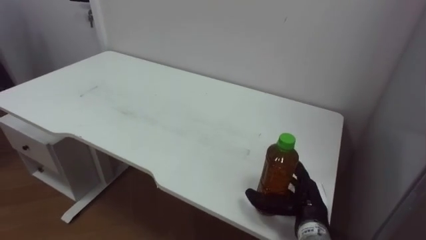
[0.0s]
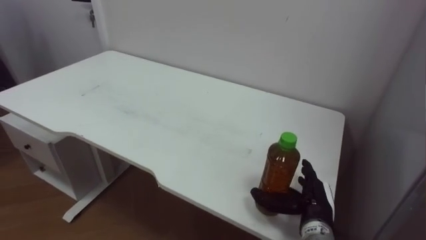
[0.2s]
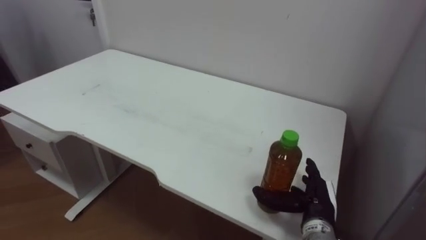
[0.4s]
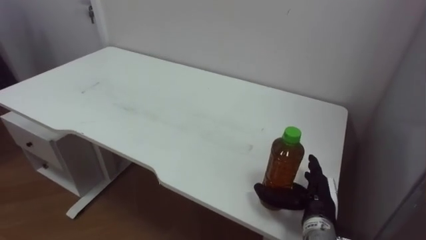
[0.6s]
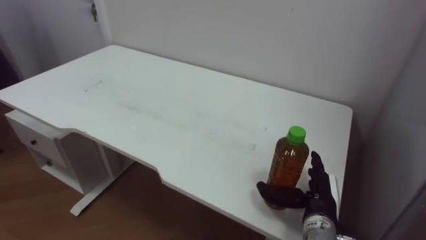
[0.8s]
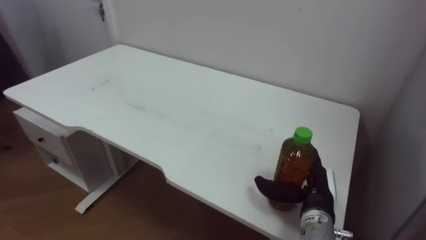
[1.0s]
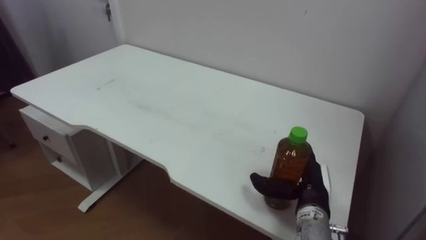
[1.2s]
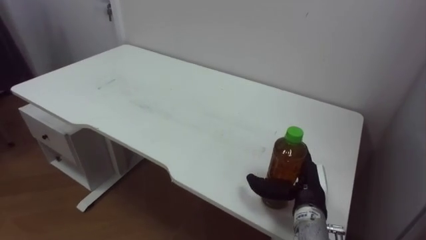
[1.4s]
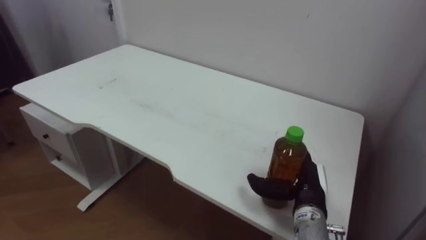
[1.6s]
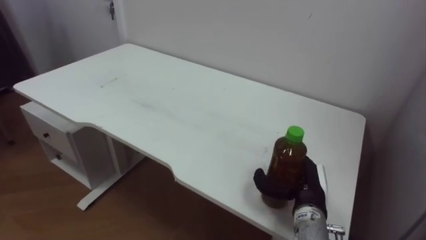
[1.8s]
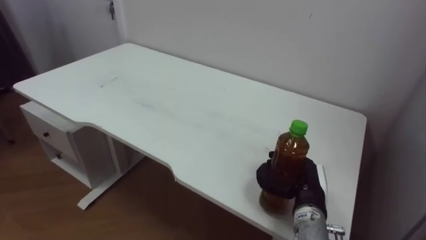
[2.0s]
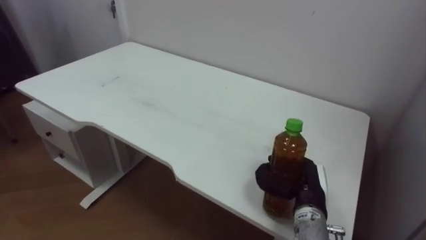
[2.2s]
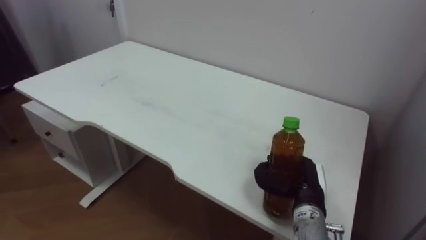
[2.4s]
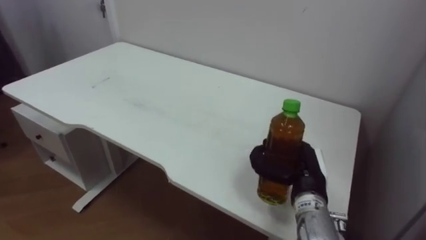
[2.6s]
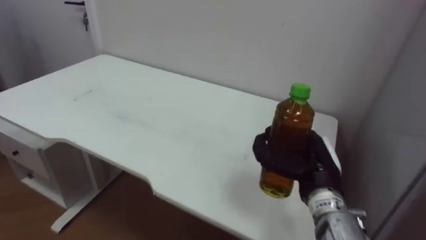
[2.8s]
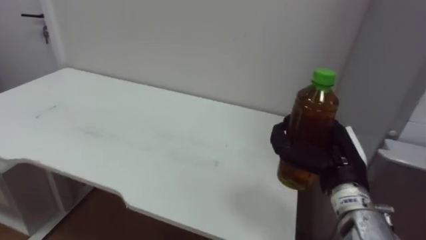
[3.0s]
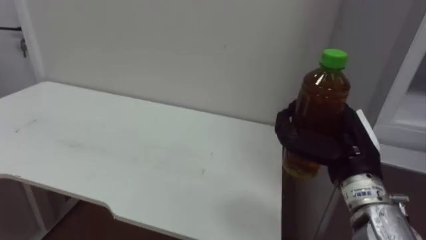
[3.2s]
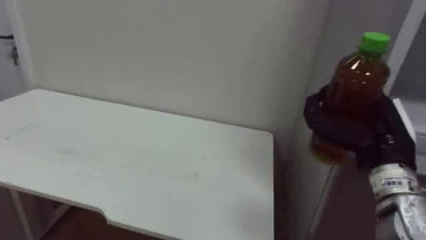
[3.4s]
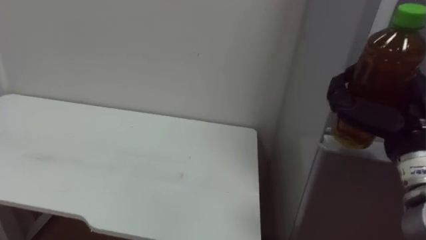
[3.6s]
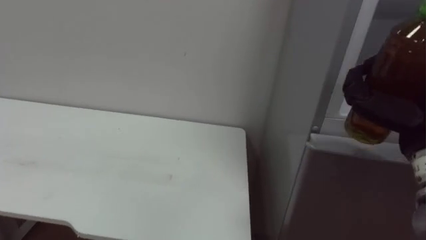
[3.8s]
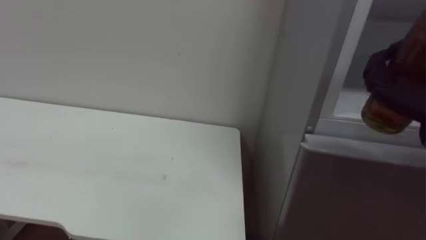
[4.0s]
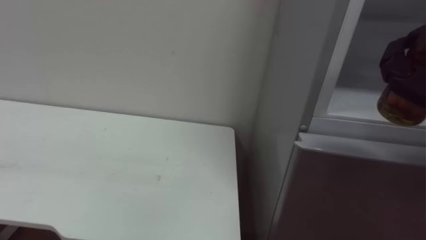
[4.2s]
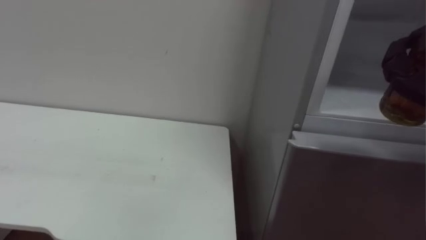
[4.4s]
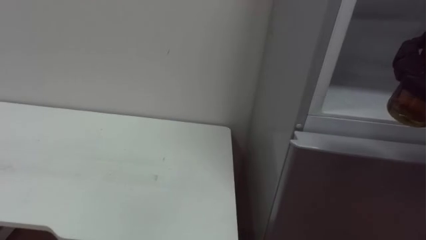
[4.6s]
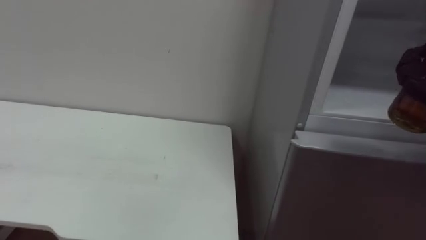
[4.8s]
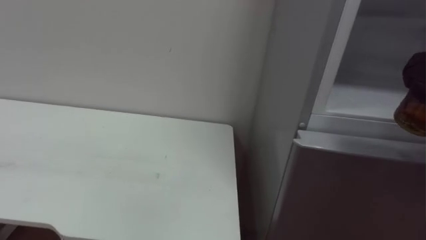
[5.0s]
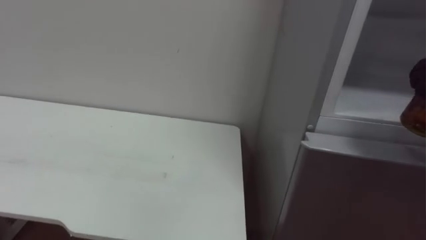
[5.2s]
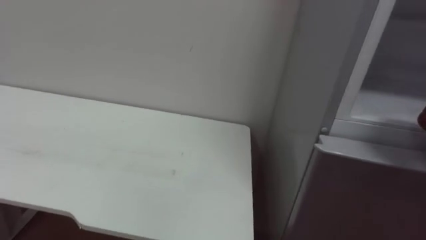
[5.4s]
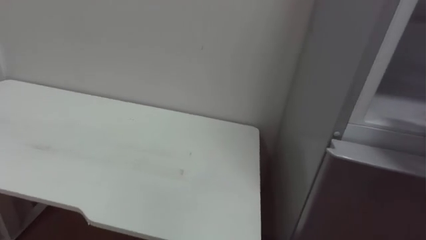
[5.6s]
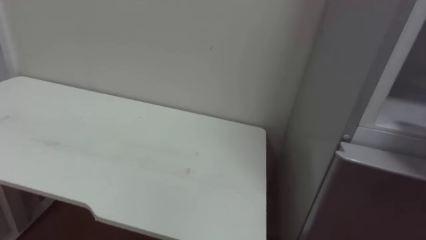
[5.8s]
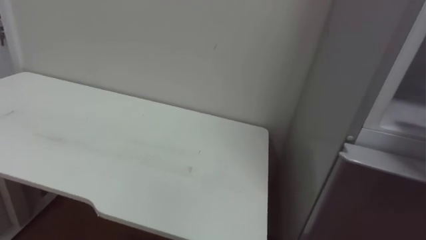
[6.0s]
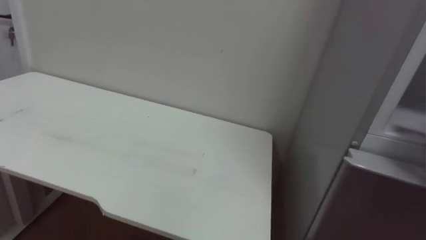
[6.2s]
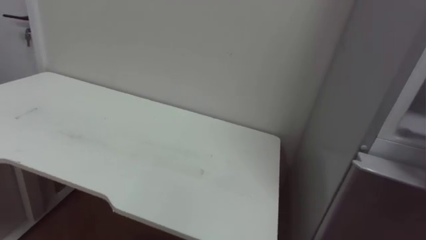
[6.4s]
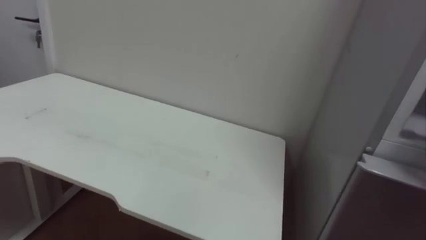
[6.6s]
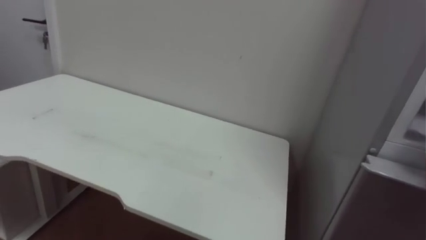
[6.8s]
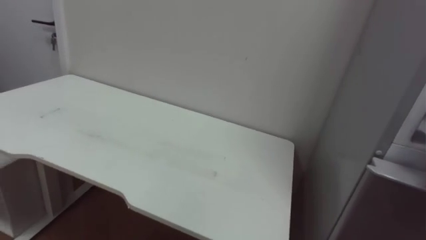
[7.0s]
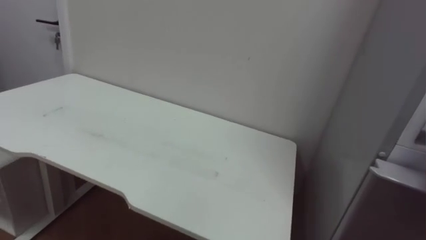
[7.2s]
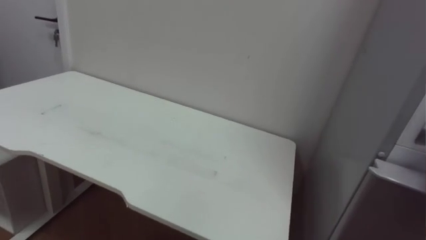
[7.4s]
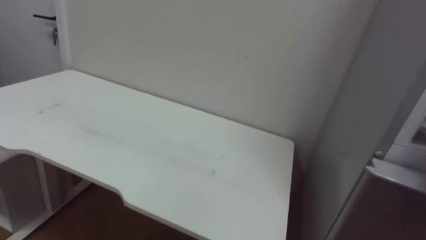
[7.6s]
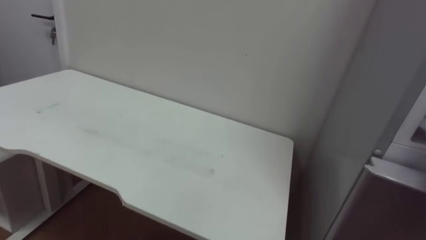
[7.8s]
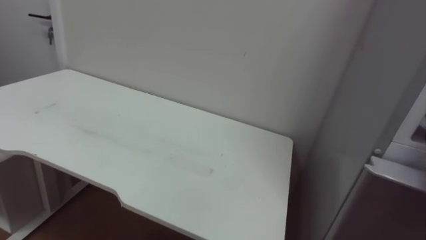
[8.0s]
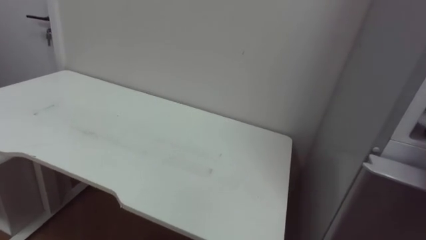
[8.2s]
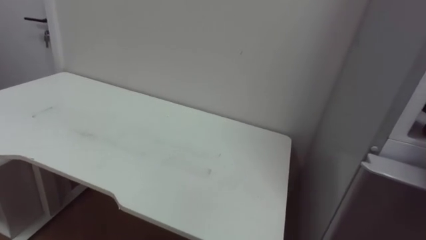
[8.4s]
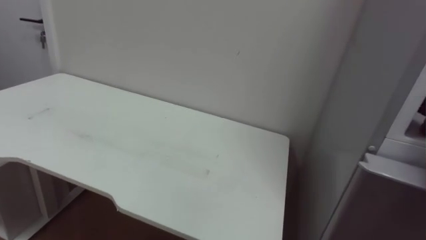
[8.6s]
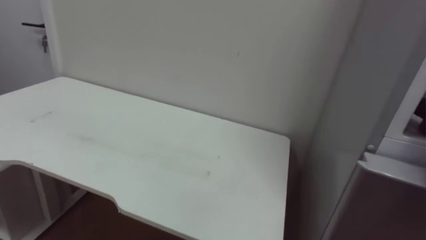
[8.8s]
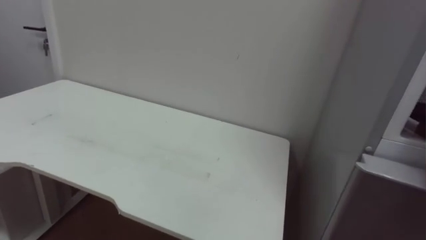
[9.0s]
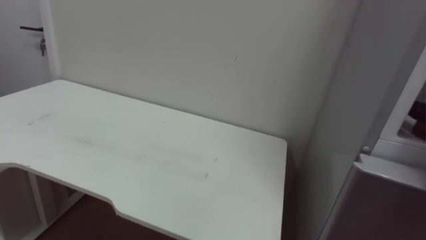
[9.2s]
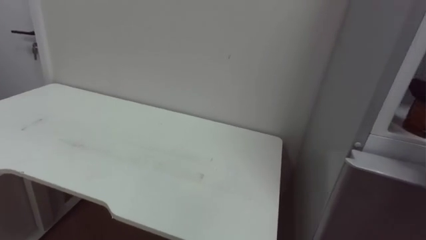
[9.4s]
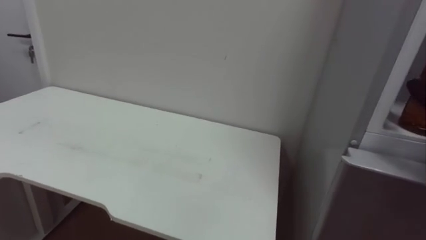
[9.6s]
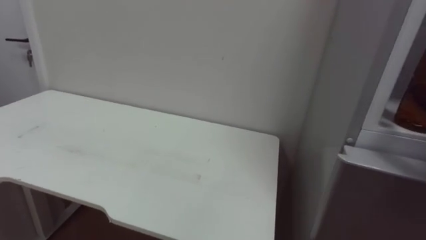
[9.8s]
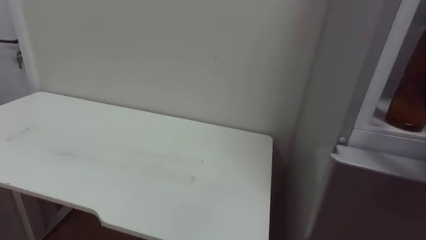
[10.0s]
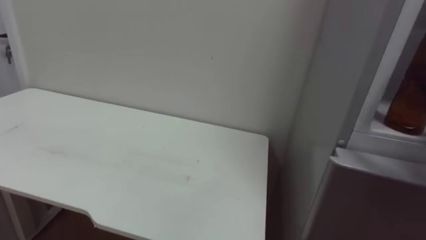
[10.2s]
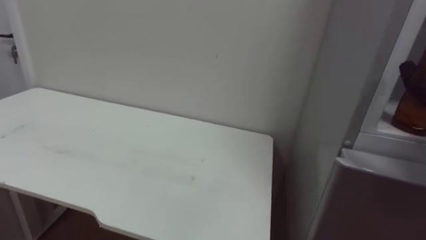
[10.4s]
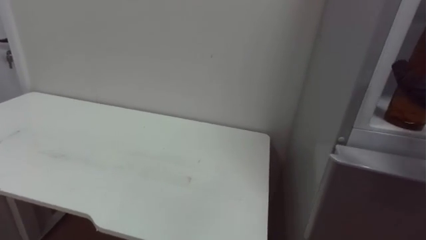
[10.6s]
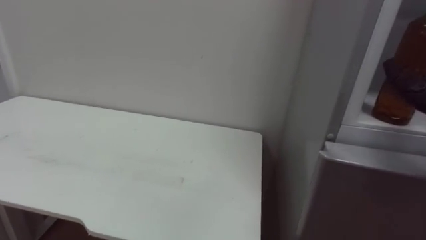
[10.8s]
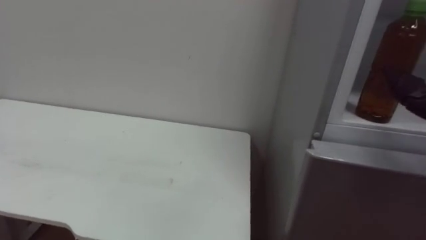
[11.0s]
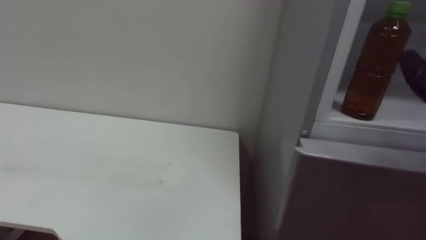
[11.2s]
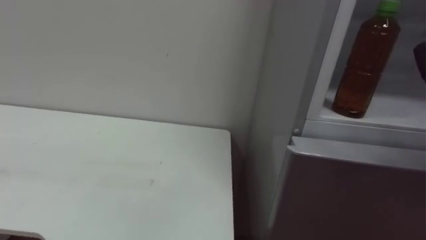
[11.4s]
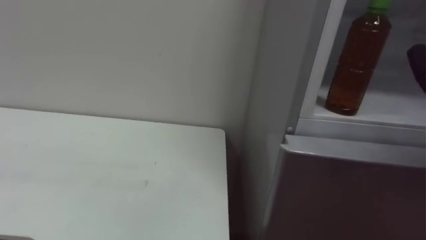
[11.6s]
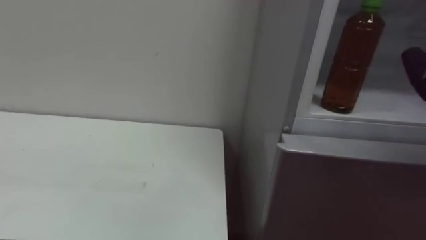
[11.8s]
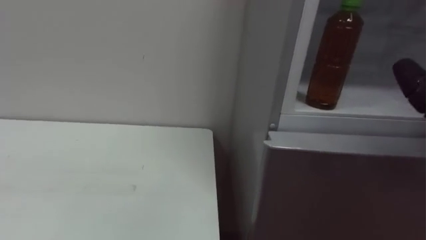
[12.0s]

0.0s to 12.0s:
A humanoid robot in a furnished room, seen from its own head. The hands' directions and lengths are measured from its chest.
Task of the whole recording: Open the upper refrigerator door, put the drink from the table into the refrigerator, and then close the refrigerator door.
1.6s to 3.0s: The right hand moves upward, about 10 cm, and closes up.

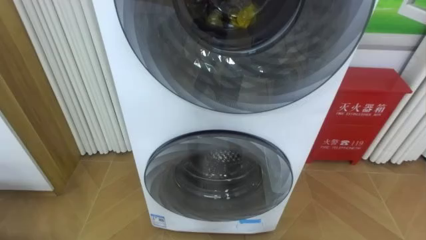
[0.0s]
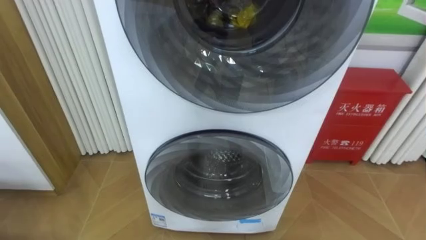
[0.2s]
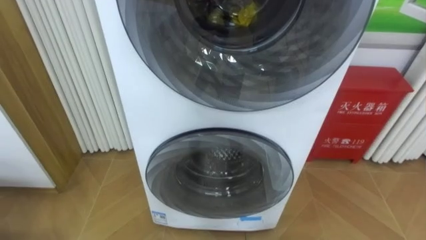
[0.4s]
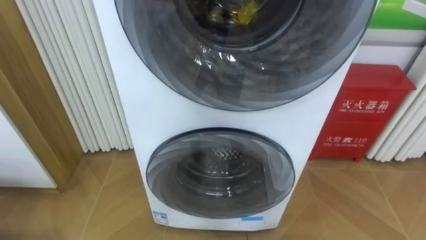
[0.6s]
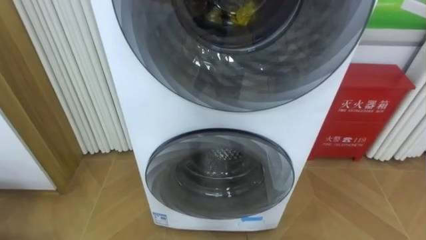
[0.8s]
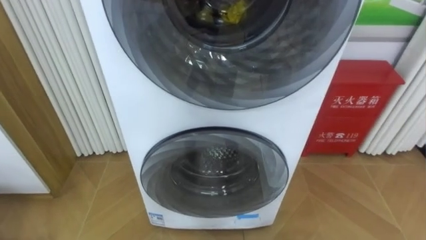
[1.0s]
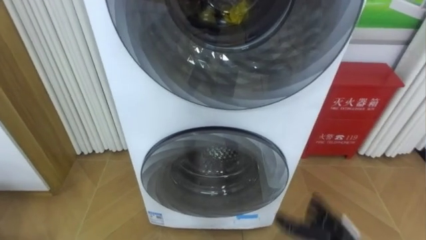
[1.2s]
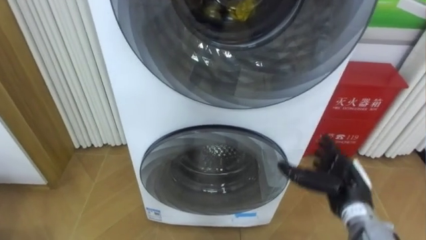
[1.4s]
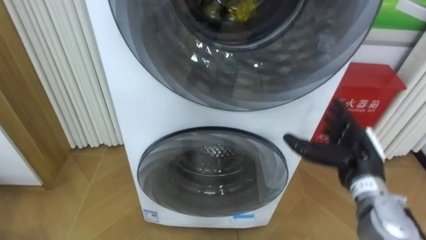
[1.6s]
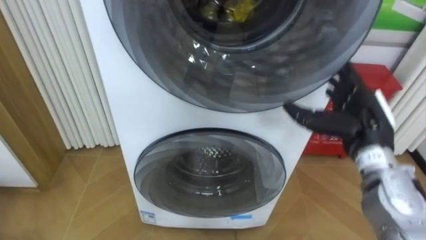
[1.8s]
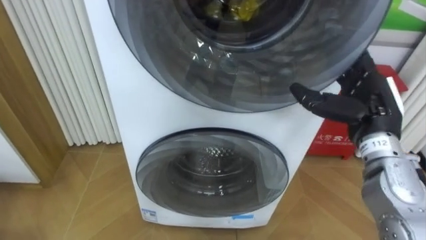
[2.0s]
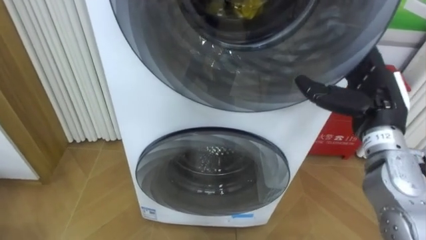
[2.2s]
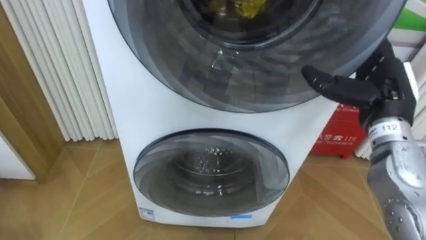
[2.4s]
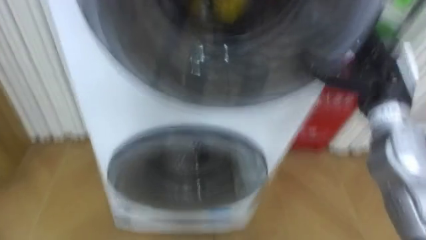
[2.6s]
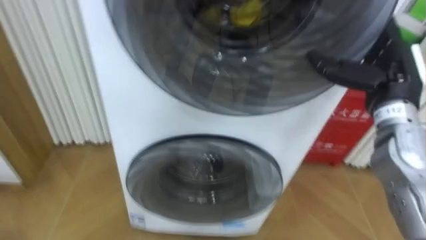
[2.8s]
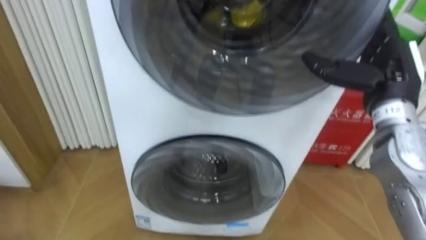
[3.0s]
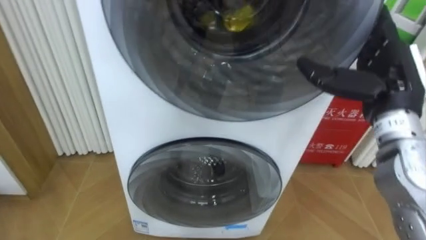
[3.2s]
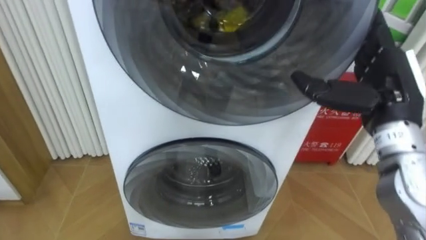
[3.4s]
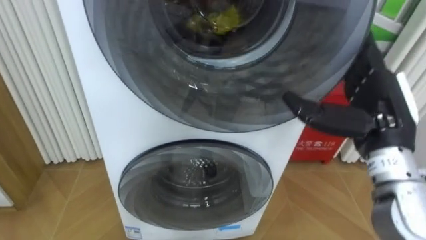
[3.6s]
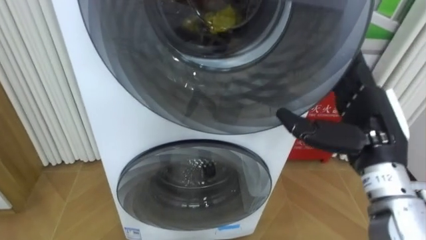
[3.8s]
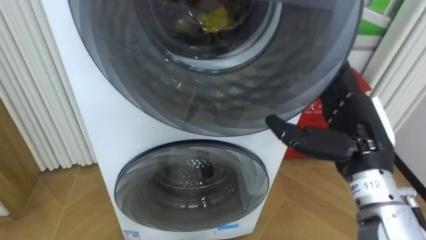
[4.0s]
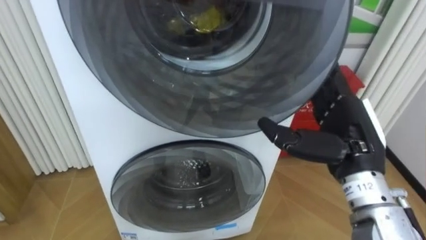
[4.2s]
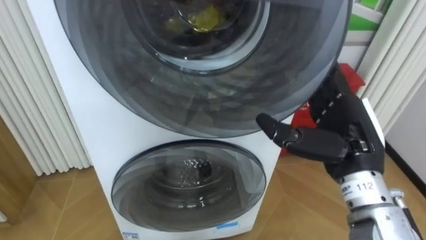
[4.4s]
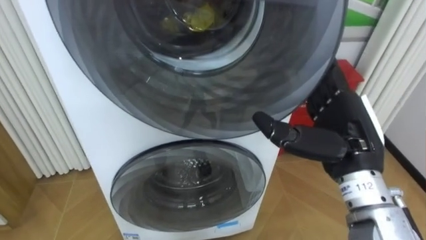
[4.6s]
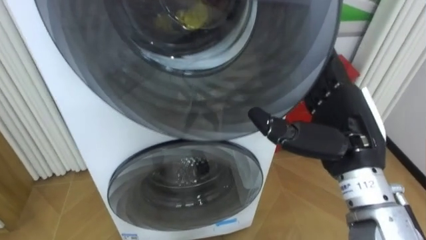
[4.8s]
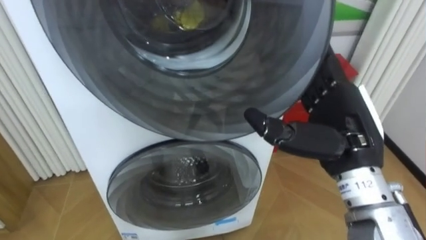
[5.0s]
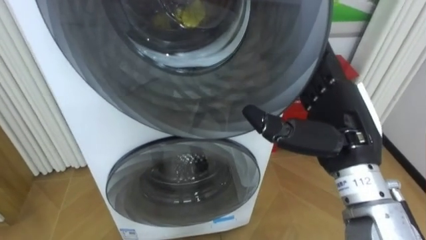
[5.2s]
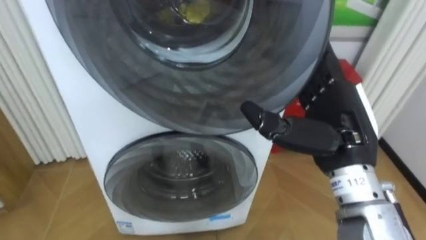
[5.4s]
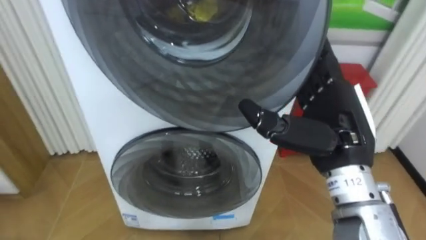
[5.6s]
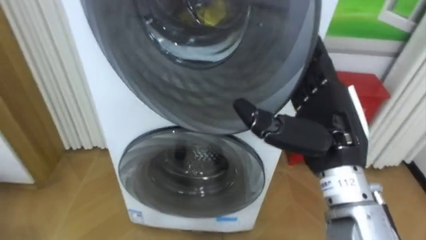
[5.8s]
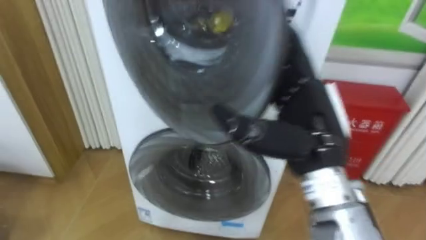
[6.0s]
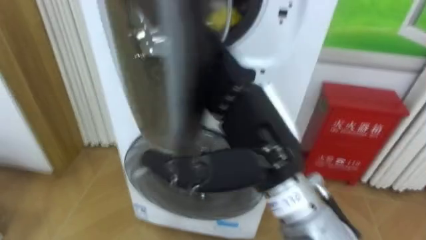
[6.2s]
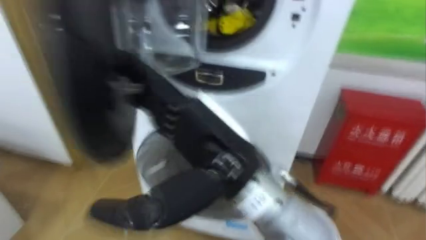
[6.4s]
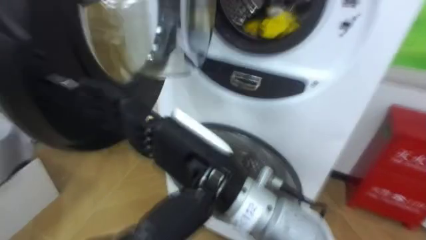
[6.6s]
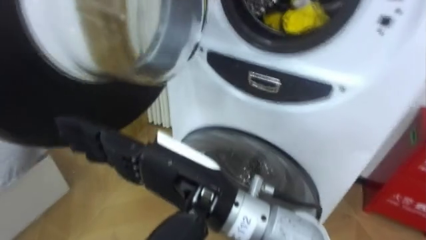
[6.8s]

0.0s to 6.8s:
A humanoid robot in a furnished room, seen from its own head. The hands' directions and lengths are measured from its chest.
Task of the whole recording: Open the washing machine door, take out the yellow clothes, place them in the box on the right, and close the washing machine door.
1.4s to 2.8s: The right hand is displaced upward by approximately 20 cm.
2.8s to 4.0s: The right hand travels backward and to the left by about 10 cm.
4.0s to 5.4s: The right hand shifts by about 5 cm.
5.4s to 6.8s: The right hand goes roughly 20 cm to the left.
